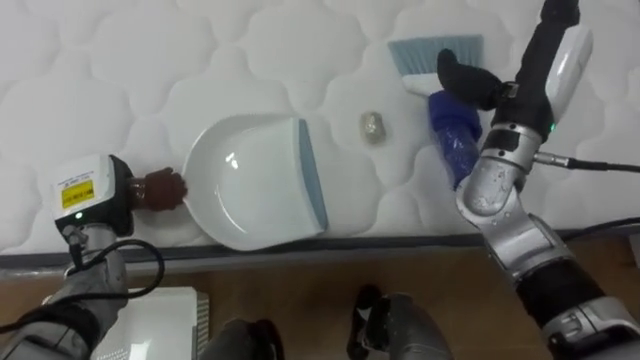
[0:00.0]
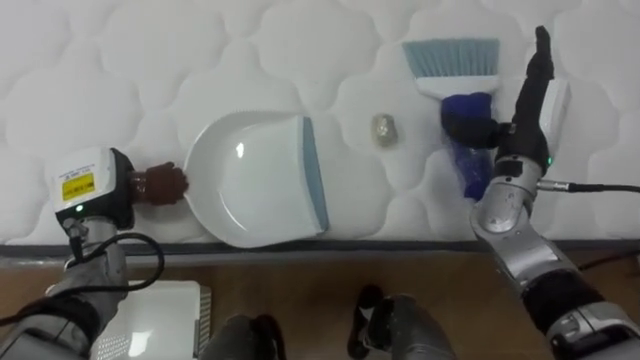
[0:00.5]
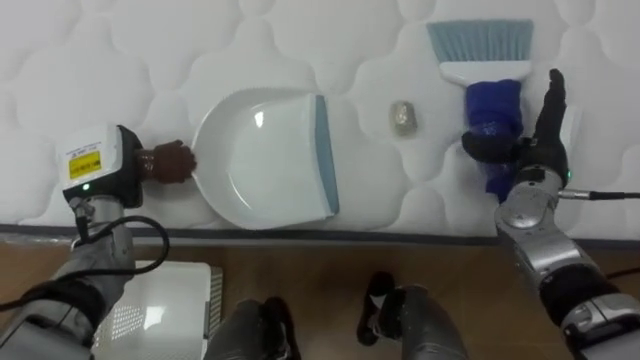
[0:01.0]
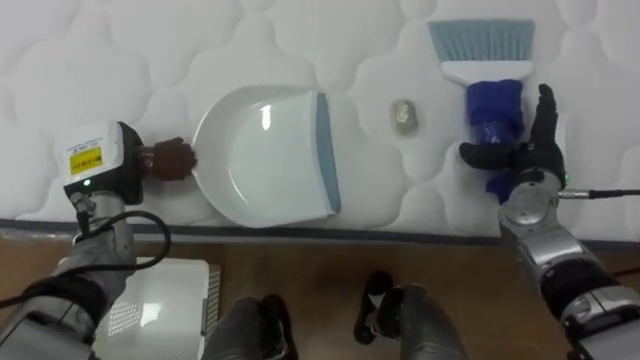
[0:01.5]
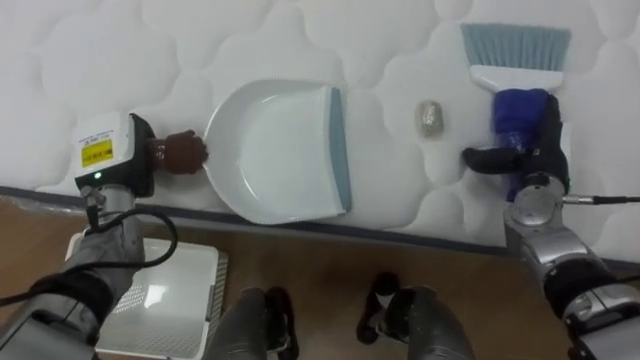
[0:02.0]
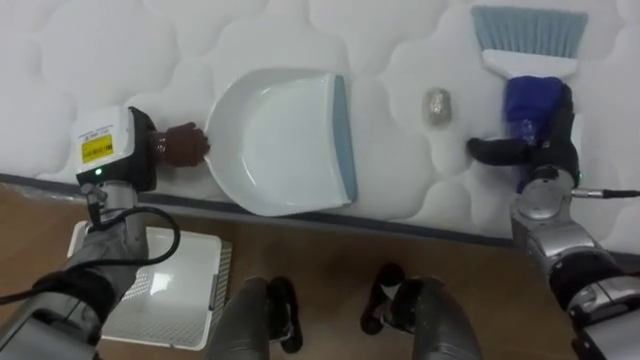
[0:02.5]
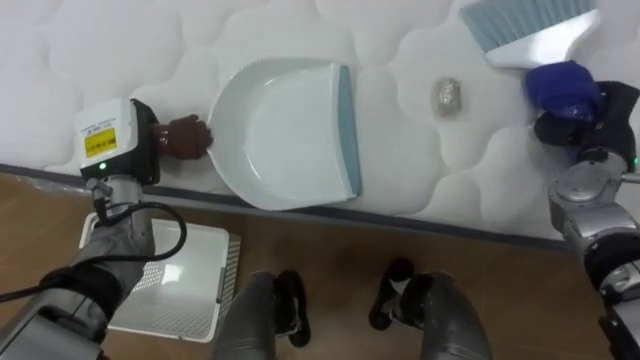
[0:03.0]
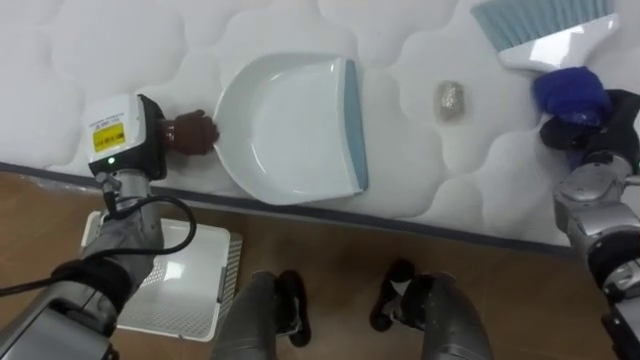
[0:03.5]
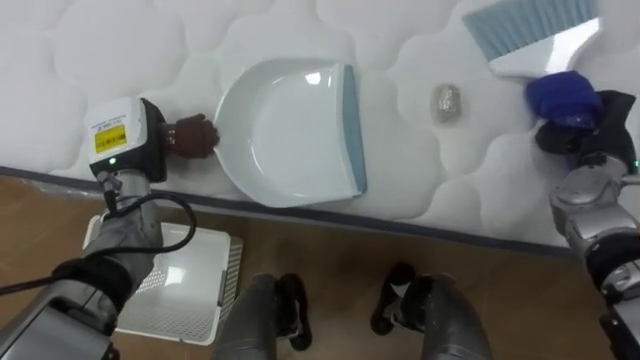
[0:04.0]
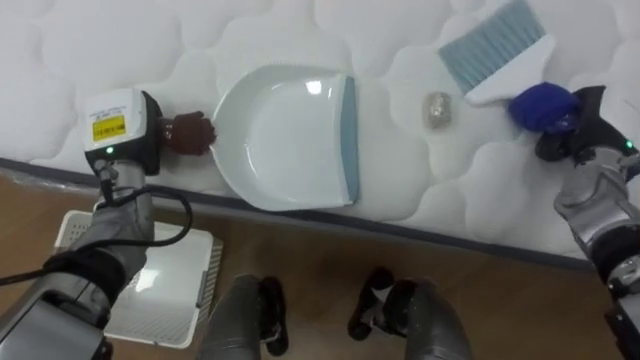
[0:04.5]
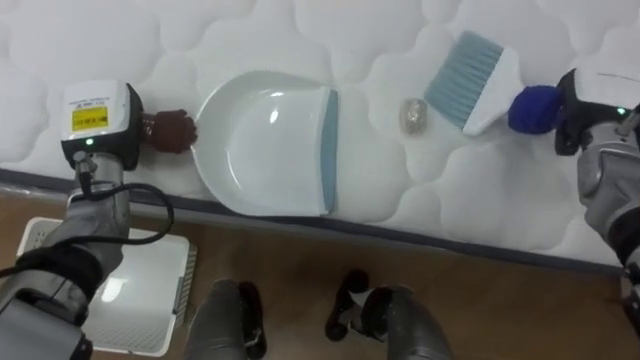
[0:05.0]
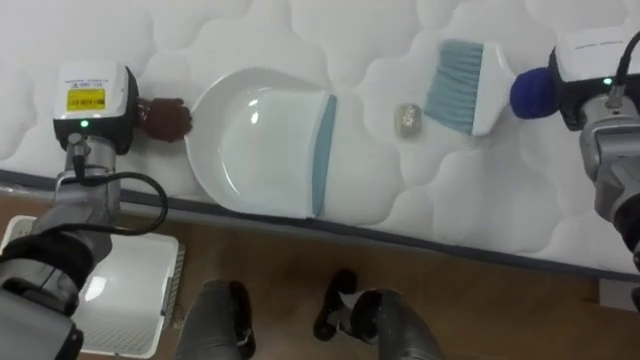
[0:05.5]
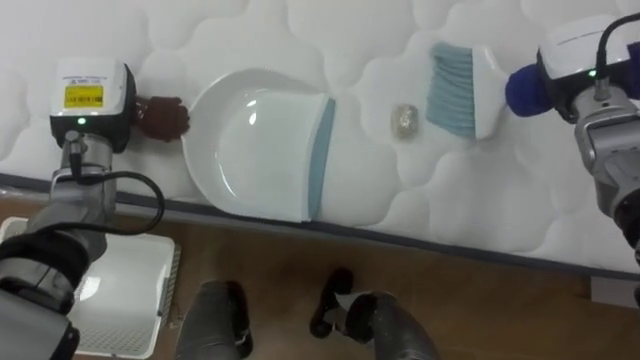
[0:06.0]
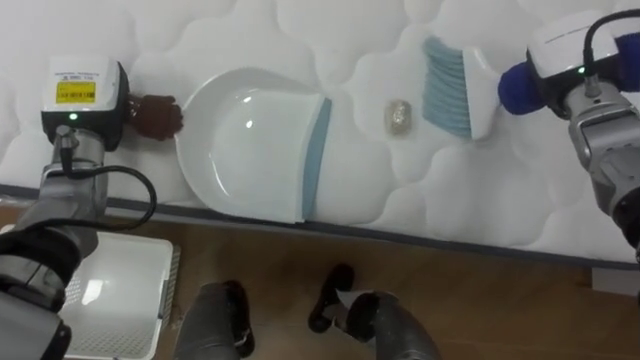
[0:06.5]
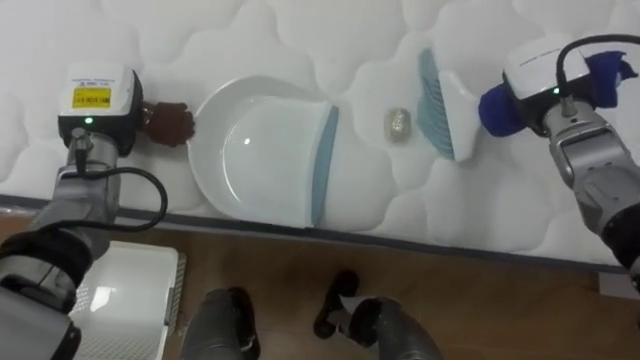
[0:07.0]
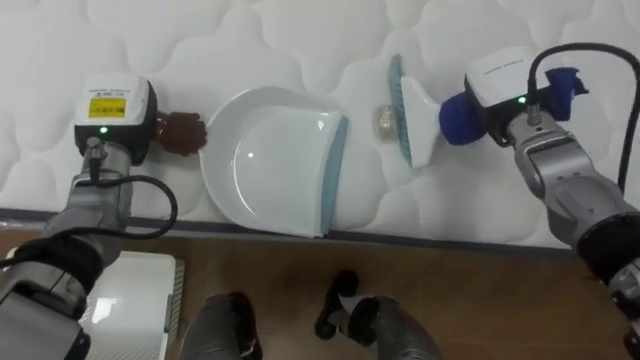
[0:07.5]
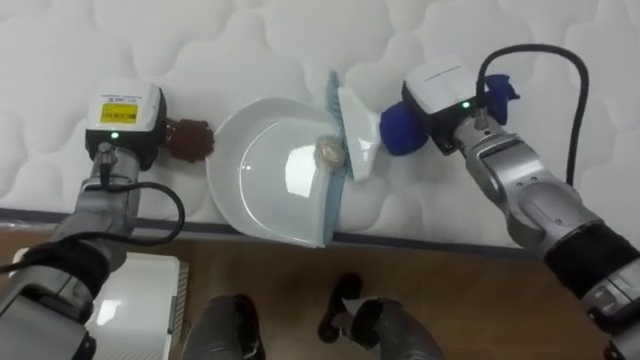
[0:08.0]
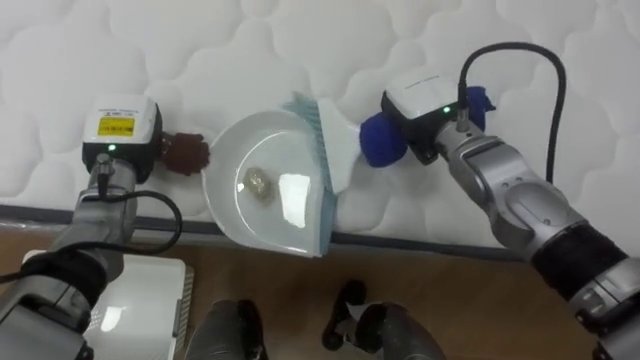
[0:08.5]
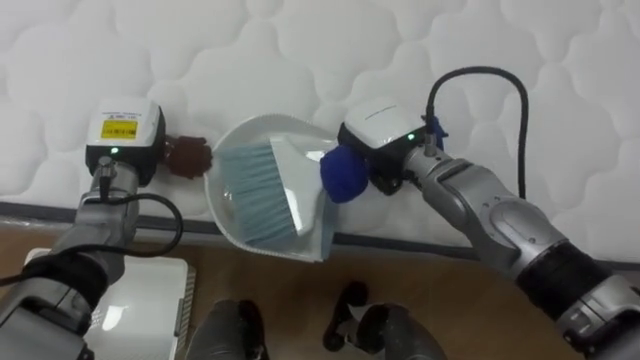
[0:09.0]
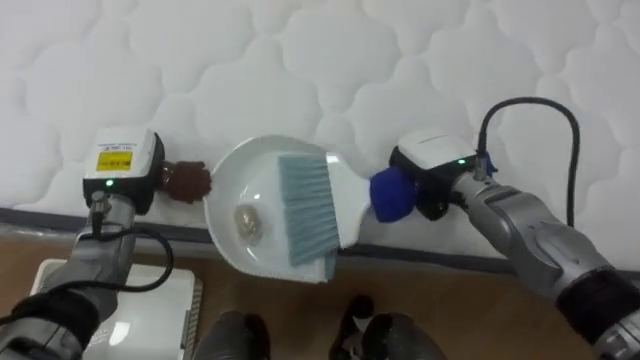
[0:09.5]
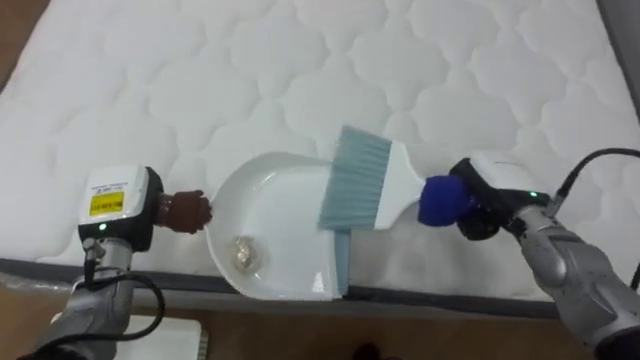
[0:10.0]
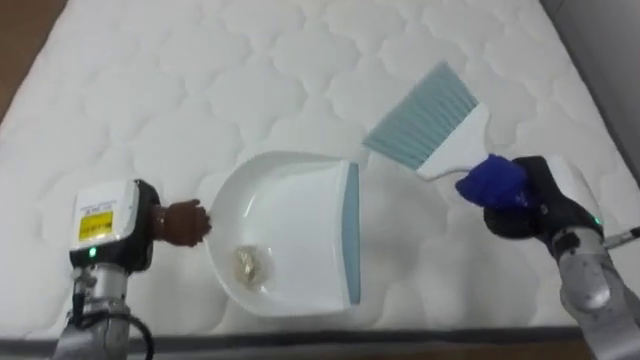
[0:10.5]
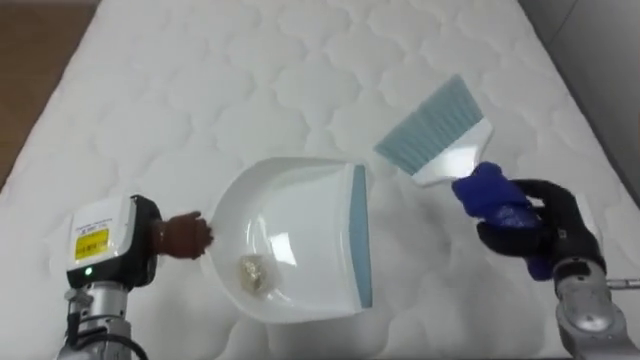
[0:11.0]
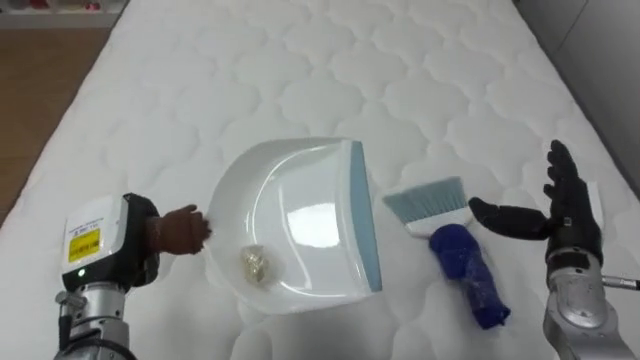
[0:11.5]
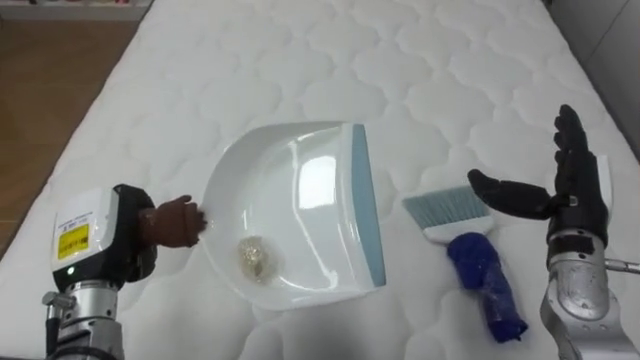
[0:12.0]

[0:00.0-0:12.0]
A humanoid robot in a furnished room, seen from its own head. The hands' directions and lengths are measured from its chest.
Task of the whole recording: Pick up the brush on your right and the dustpan on your left. Use the brush to sweep the crumpled paper on the bed into the dustpan, then turn left and empty it into the basket.
0:00.0 to 0:02.0: The right hand moves downward and to the right, roughly 15 cm. The left hand moves some 5 cm.
0:02.0 to 0:04.0: The right hand is displaced to the right by roughly 5 cm, and closes its fingers.
0:04.0 to 0:06.0: The left hand heads upward, covering about 5 cm; the right hand goes roughly 10 cm upward, forward and to the left.
0:06.0 to 0:08.0: The right hand shifts roughly 15 cm to the left.
0:08.0 to 0:10.0: The right hand is displaced downward, to the right and backward by approximately 15 cm. Meanwhile the left hand travels backward and downward by about 10 cm.
0:10.0 to 0:12.0: The right hand is displaced to the right and backward by some 10 cm, and opens, while the left hand goes roughly 5 cm backward.

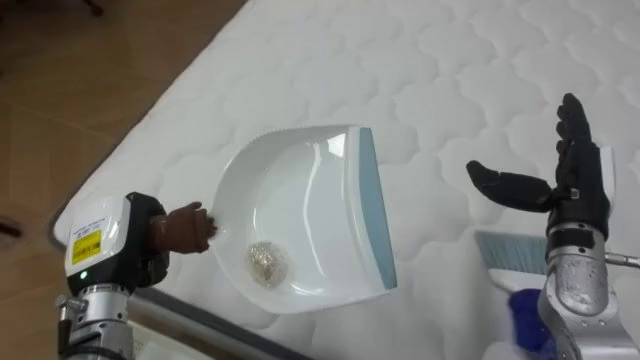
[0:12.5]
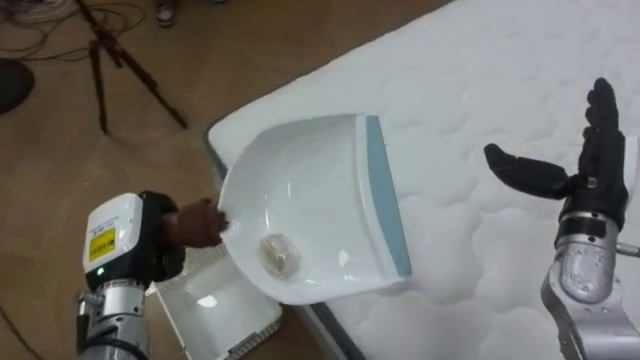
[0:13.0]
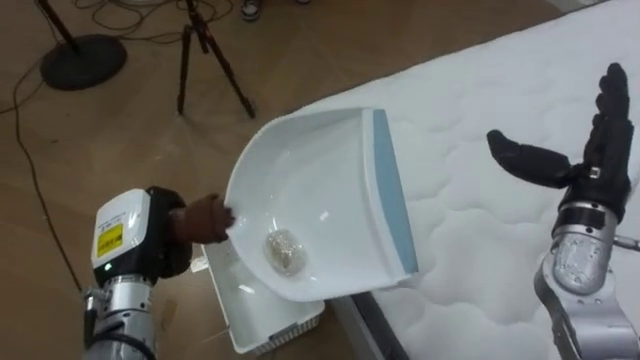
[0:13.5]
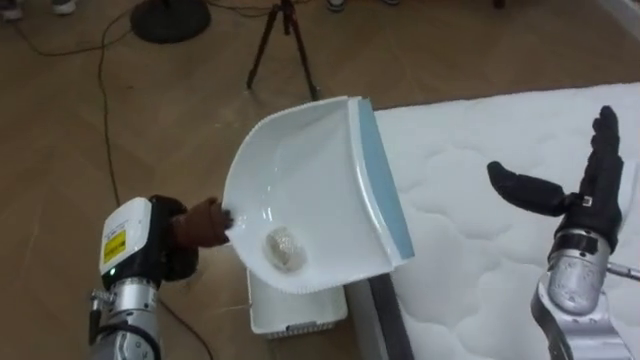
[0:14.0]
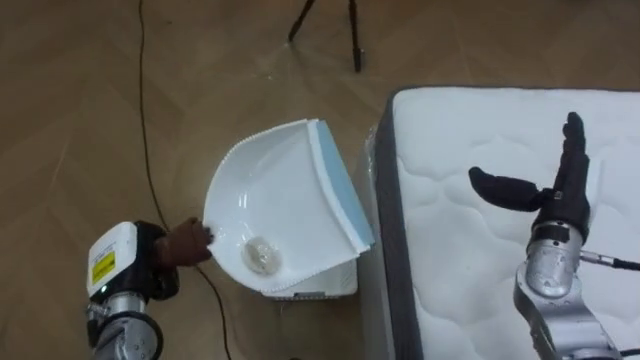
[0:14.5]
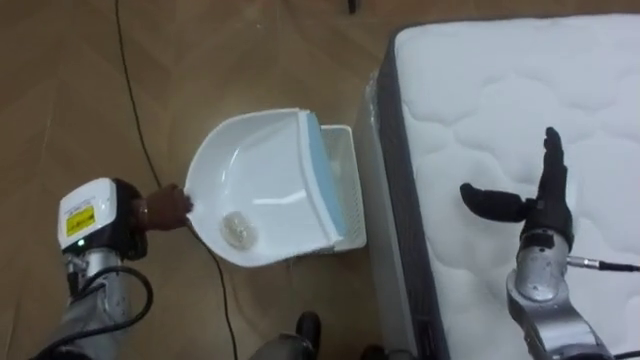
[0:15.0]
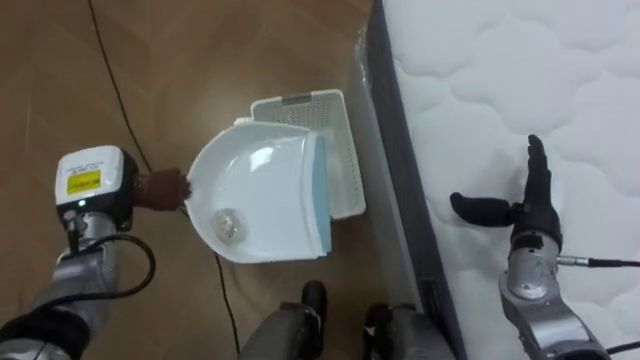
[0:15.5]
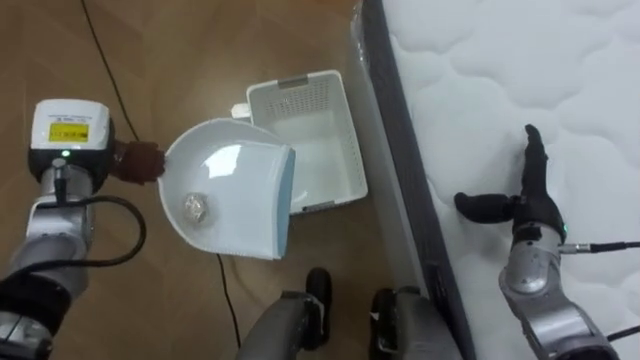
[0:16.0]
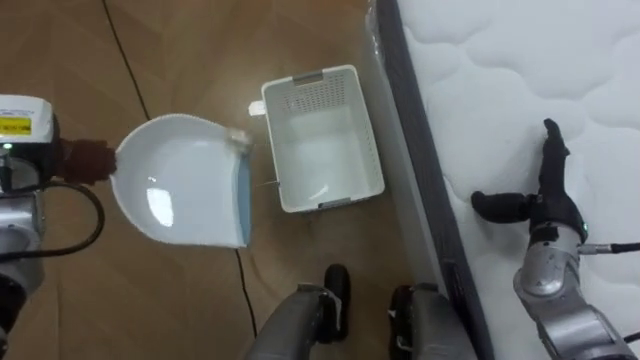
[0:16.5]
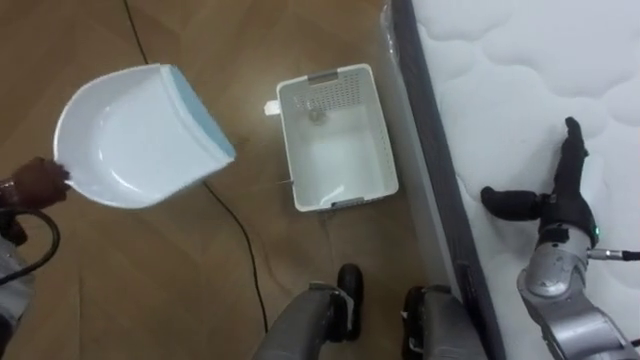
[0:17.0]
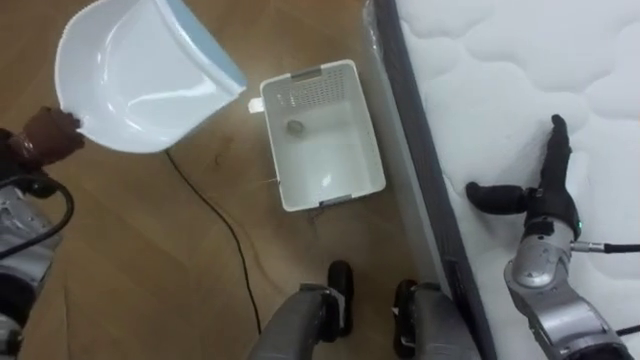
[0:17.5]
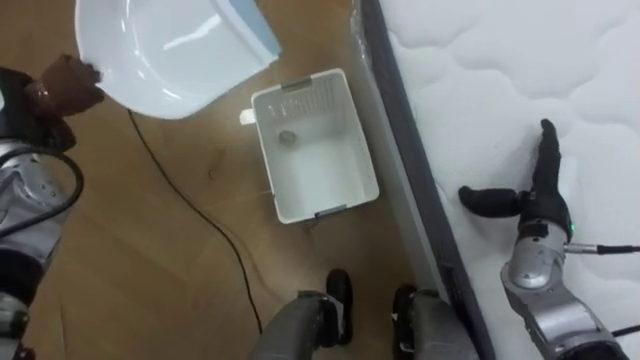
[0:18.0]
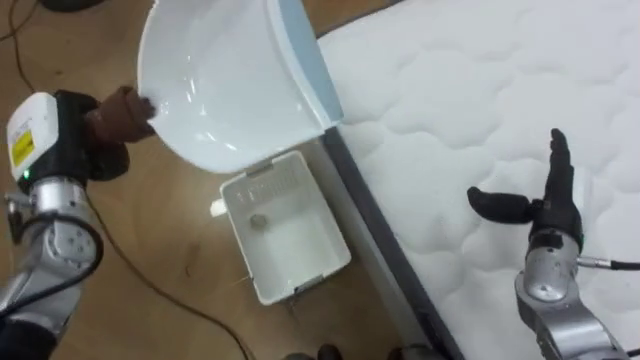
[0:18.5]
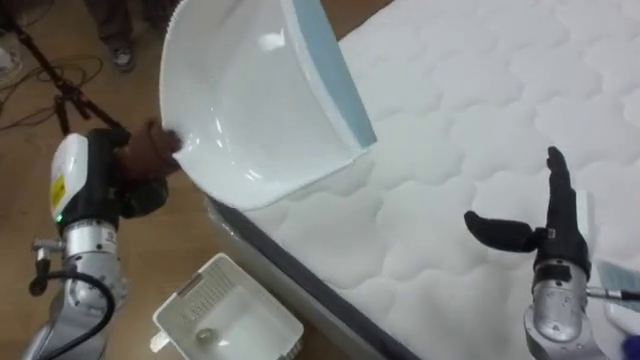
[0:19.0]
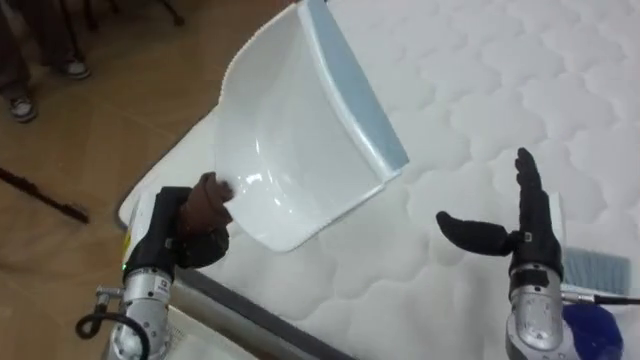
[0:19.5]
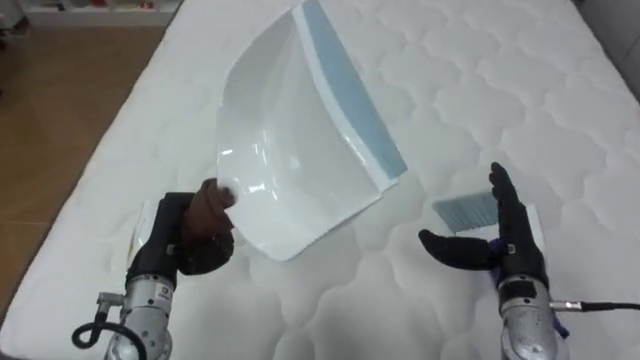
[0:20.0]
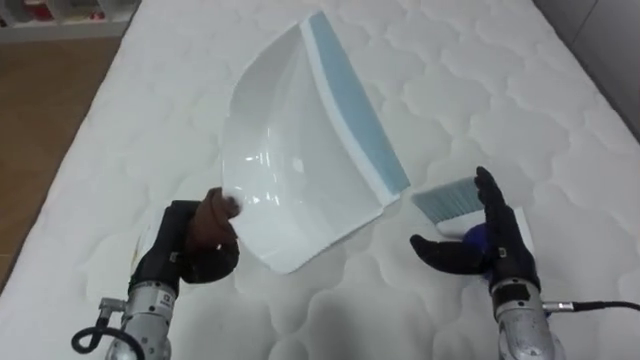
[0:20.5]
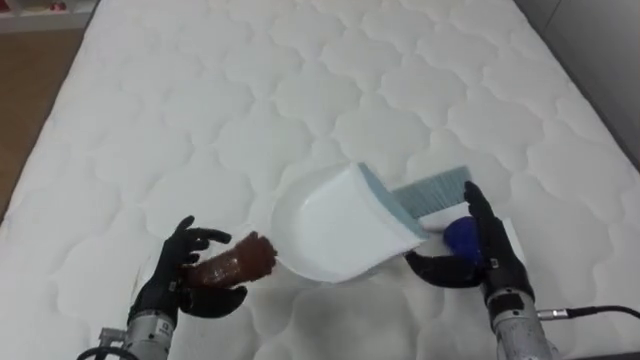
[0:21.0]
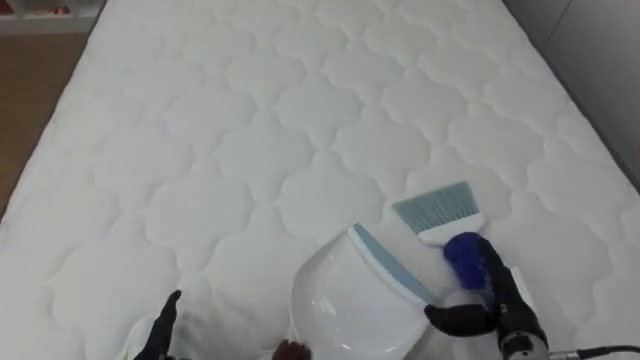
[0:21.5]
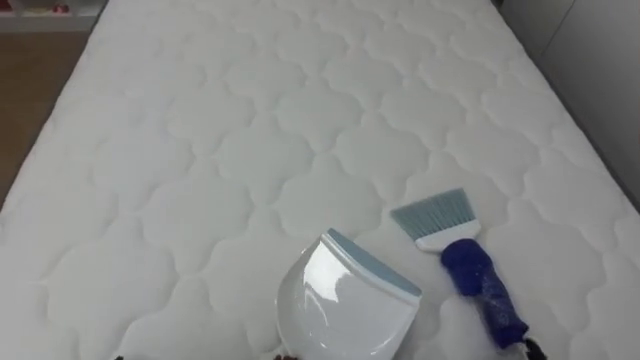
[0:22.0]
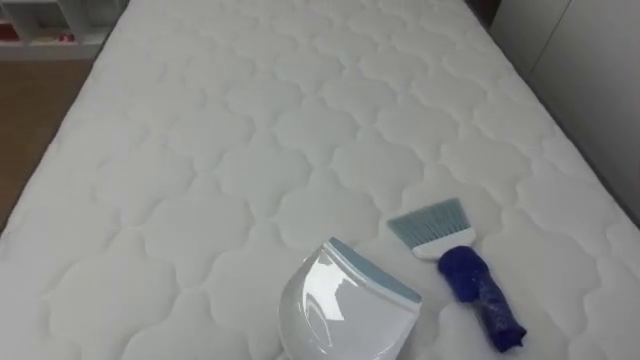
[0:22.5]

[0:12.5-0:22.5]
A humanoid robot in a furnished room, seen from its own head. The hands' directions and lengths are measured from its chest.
Task of the whole recording: Pick up the brush on your right and the dustpan on your left. Use the brush to sweep the crumpled paper on the bed into the dustpan, then turn left and empty it into the basket.
0:12.5 to 0:14.5: The robot's body swings roughly 65 degrees to its left. The left hand travels downward by some 5 cm.
0:14.5 to 0:16.5: The left hand is displaced upward, forward and to the left by some 20 cm.
0:18.5 to 0:20.5: The robot faces approximately 70 degrees further to its right. The right hand shifts some 5 cm to the left, while the left hand is displaced to the right, downward and backward by some 15 cm.
